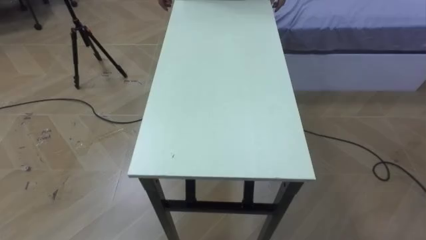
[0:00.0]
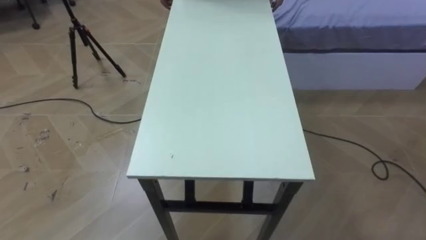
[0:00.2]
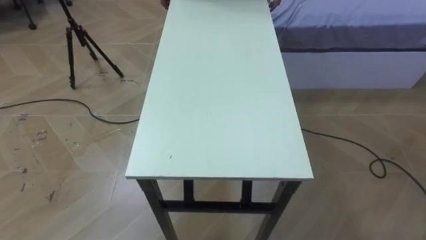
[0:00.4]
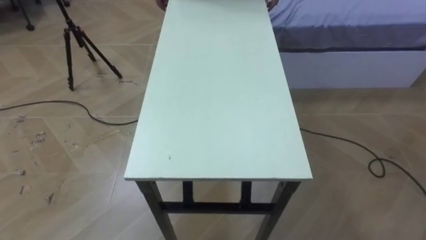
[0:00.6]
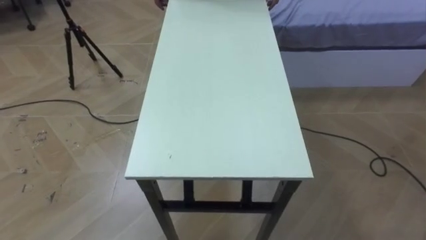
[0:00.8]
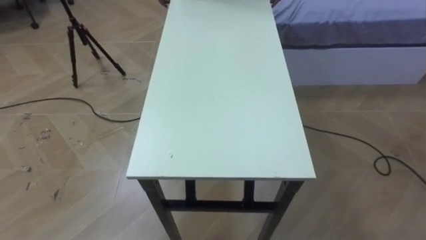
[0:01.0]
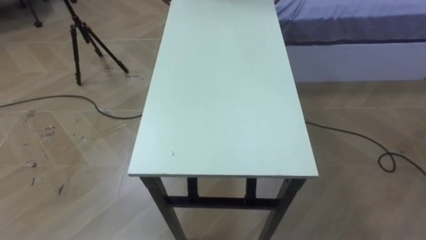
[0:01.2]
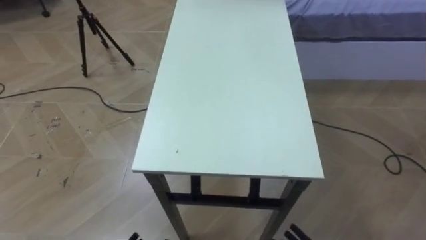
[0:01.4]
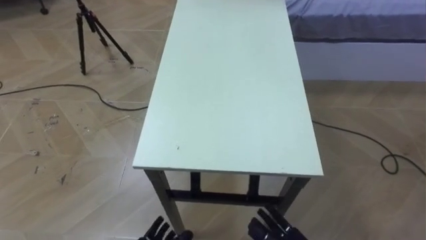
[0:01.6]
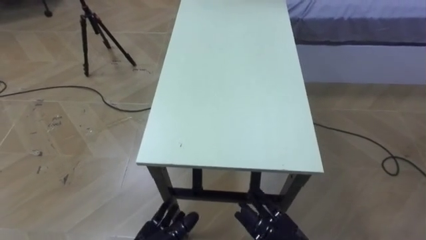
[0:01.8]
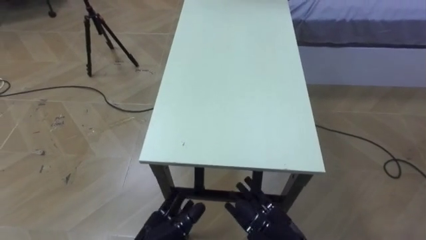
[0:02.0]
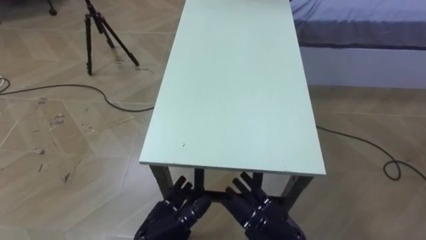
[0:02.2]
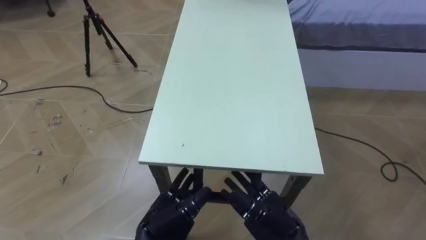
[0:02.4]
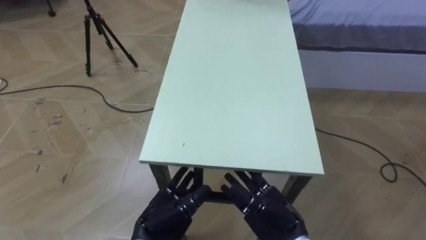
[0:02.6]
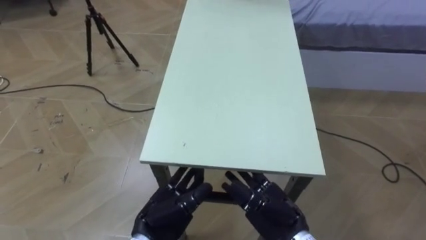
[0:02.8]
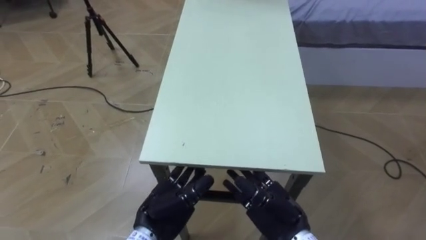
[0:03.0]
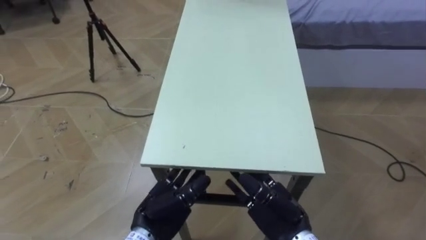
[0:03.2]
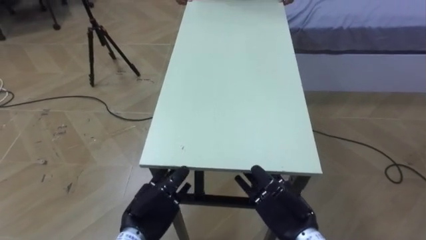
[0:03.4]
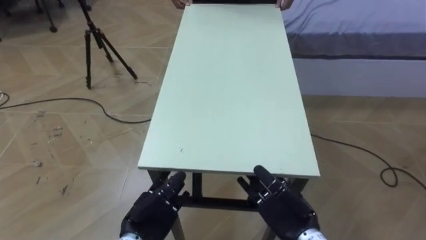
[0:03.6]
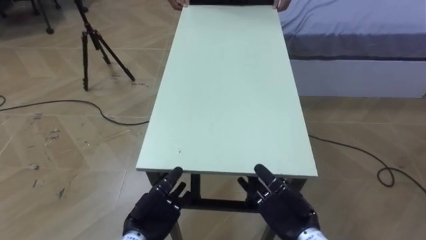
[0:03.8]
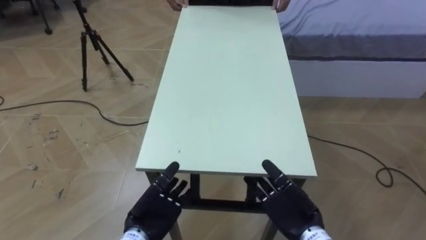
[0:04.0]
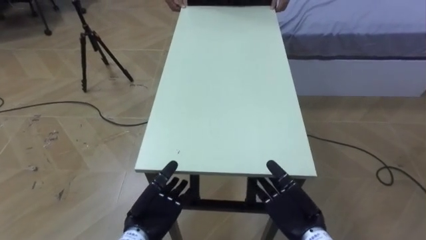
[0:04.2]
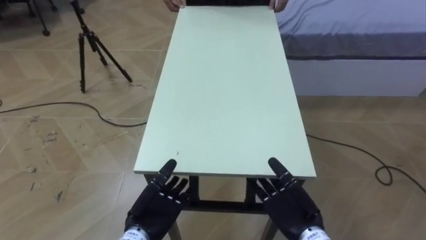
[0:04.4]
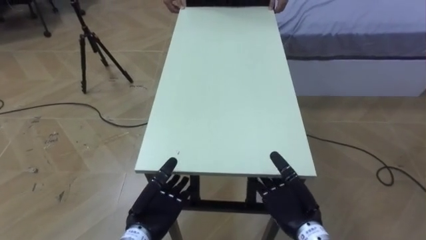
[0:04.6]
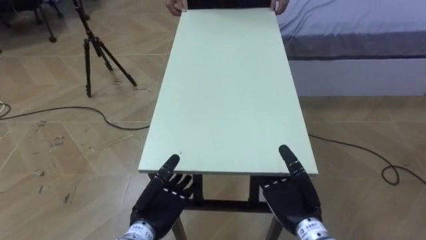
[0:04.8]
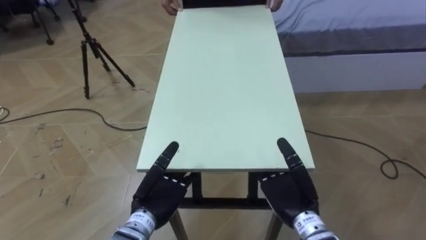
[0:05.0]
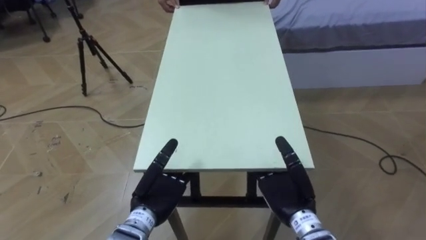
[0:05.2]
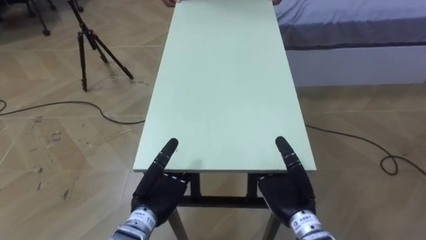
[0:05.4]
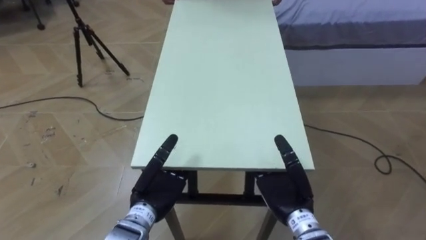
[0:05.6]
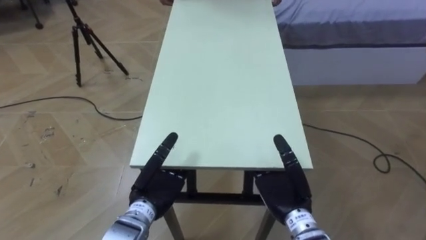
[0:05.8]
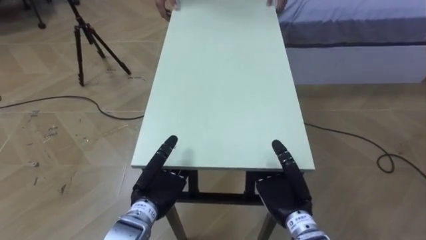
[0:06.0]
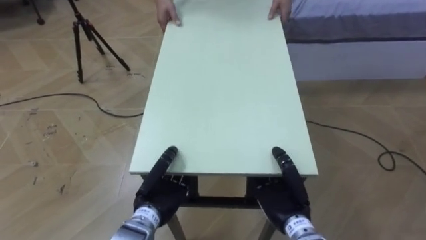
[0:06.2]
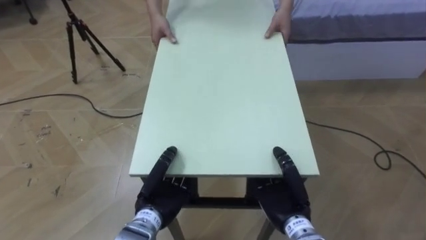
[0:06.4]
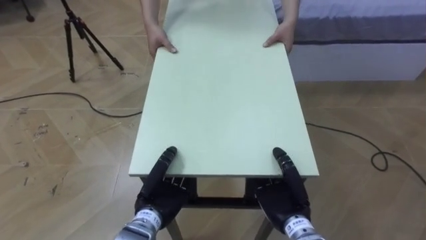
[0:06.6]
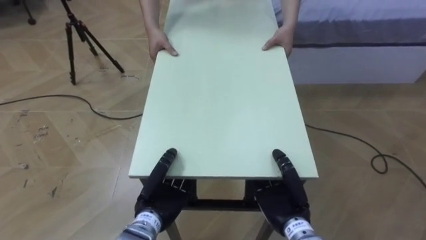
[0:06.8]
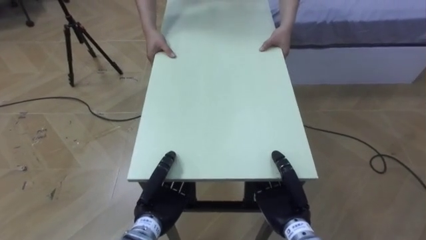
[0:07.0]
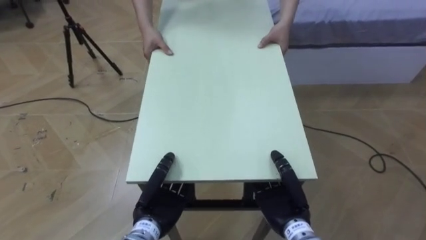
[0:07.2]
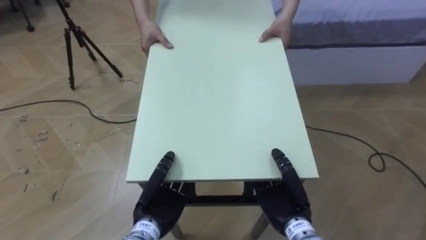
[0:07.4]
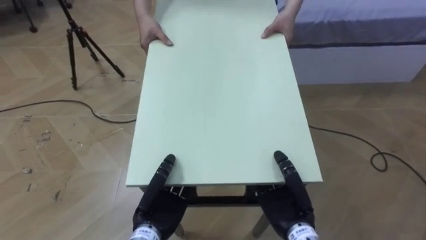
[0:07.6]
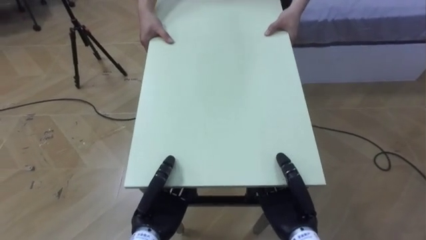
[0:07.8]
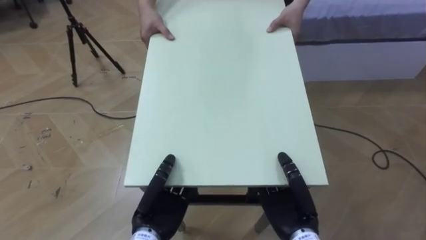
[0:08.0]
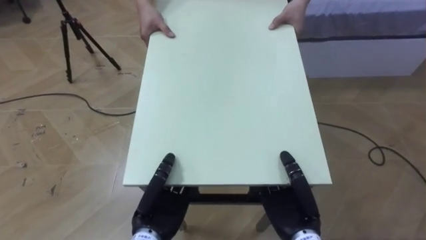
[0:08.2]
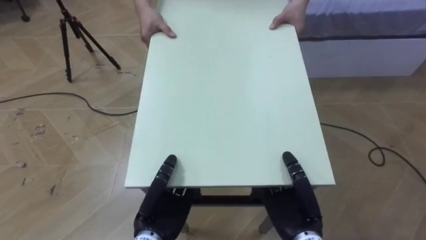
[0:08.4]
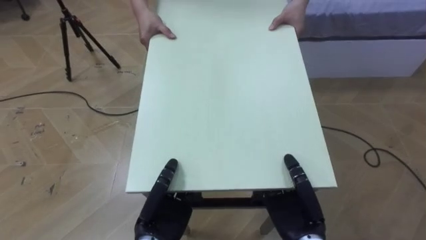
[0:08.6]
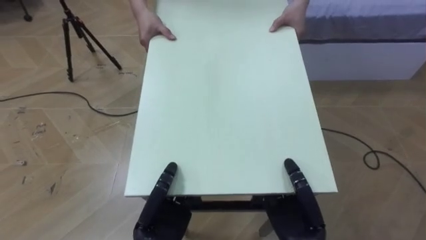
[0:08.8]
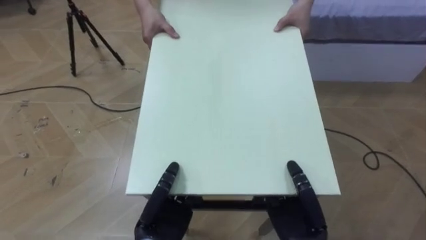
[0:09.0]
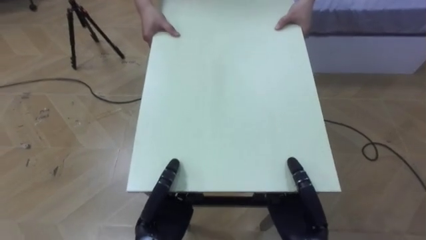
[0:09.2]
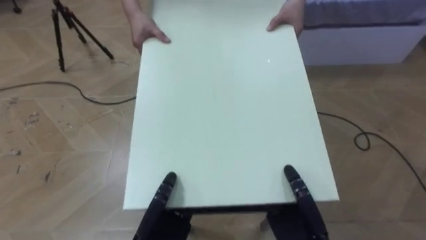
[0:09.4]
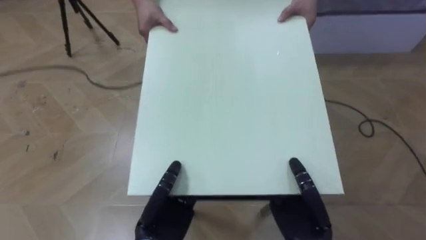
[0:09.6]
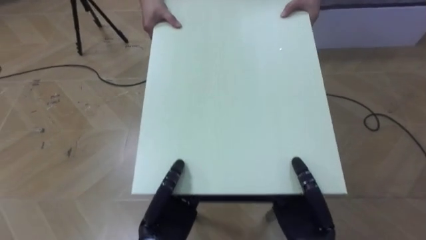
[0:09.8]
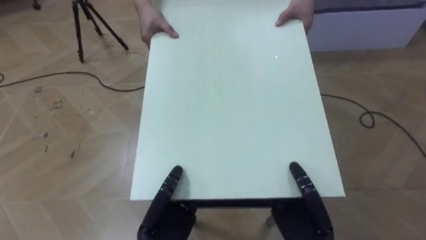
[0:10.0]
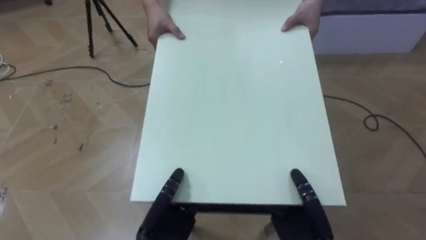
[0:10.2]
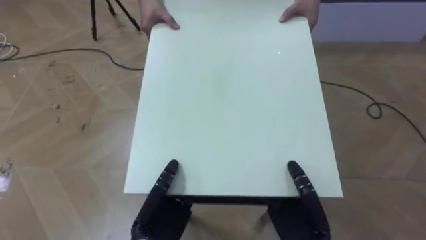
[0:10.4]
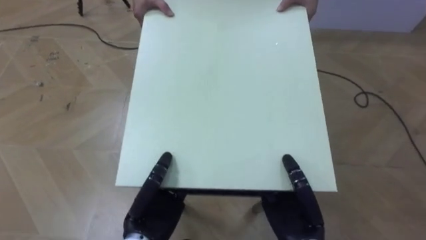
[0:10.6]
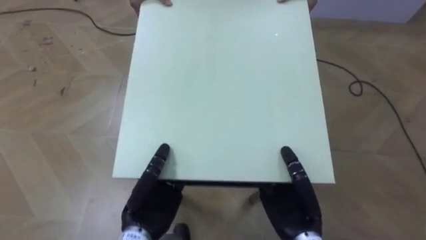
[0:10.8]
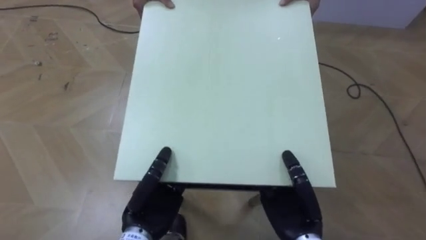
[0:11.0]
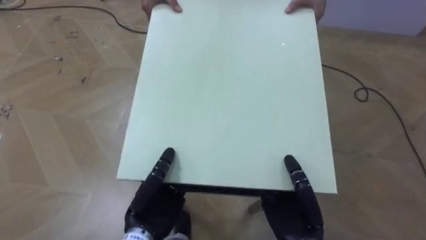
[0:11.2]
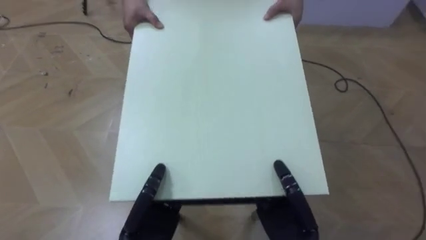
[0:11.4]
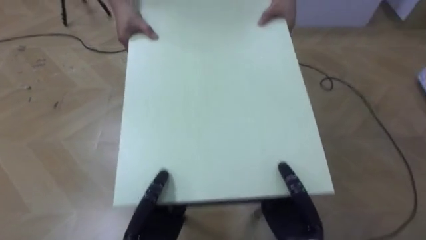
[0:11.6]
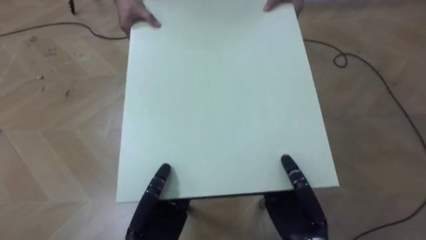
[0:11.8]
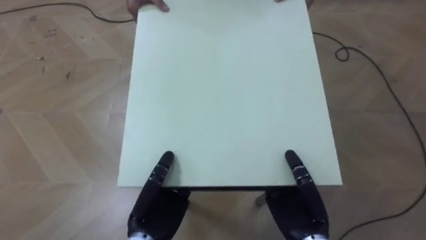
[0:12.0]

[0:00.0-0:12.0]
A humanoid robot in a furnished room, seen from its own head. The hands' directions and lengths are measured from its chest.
Task of the whole recording: Move the table to the back left with someone.
0:03.0 to 0:04.4: The left hand shifts by approximately 5 cm.
0:04.4 to 0:06.0: The left hand changes place by approximately 5 cm.
0:06.0 to 0:07.6: The left hand closes up.

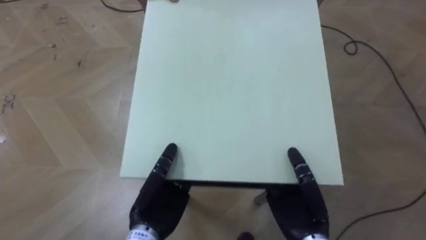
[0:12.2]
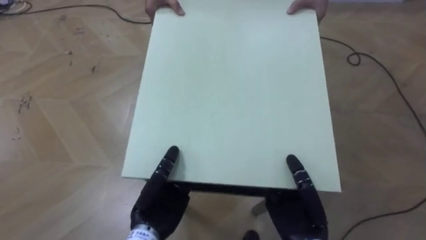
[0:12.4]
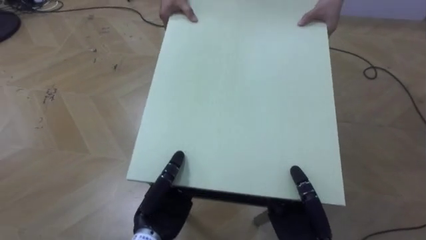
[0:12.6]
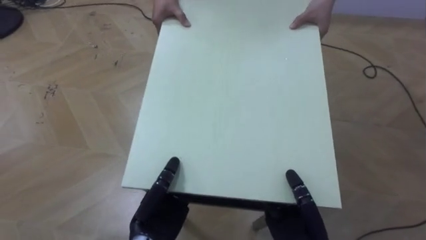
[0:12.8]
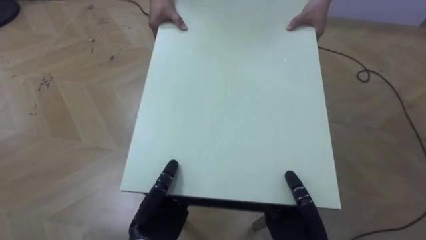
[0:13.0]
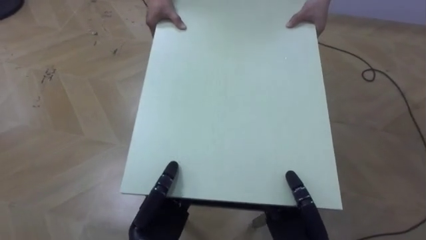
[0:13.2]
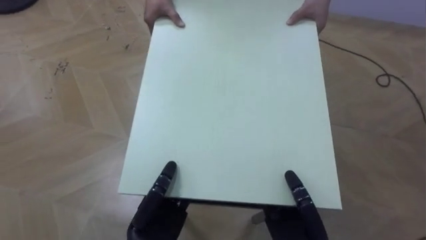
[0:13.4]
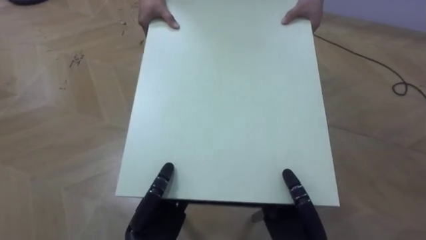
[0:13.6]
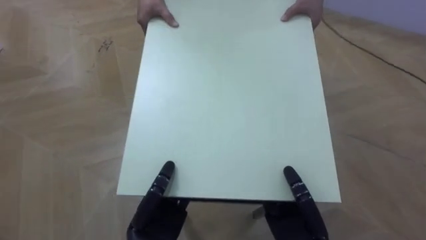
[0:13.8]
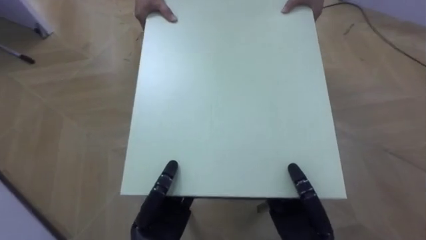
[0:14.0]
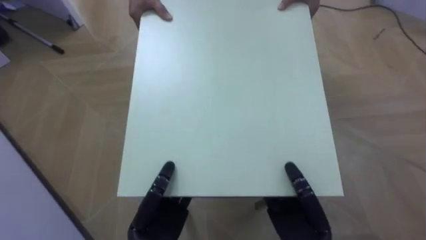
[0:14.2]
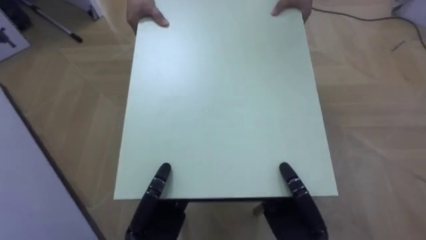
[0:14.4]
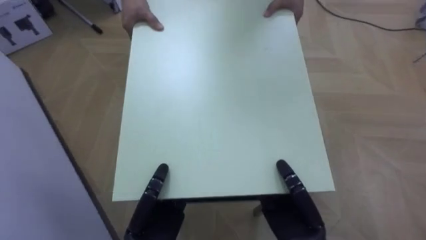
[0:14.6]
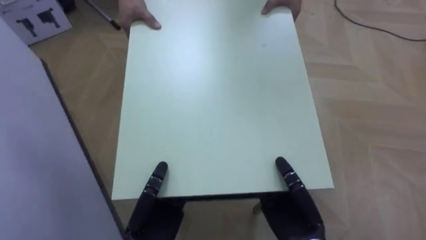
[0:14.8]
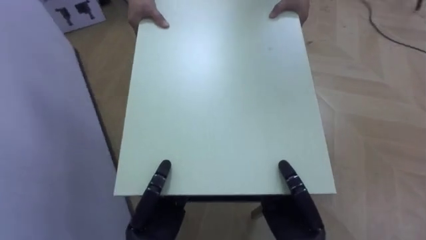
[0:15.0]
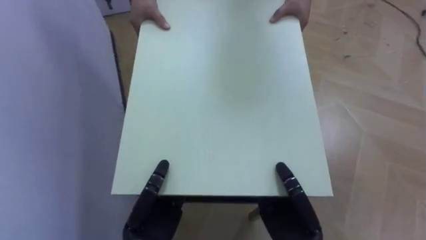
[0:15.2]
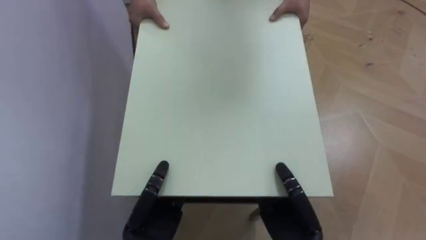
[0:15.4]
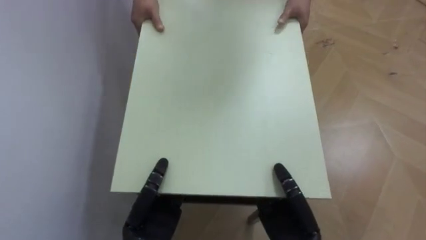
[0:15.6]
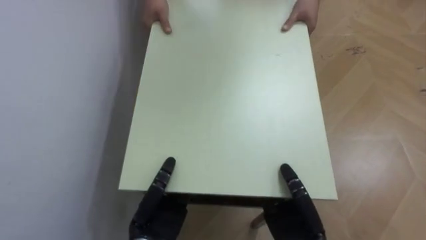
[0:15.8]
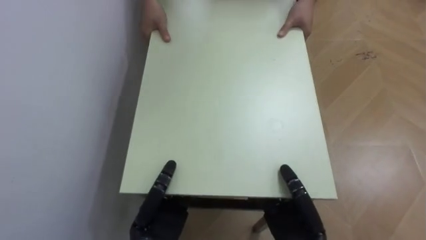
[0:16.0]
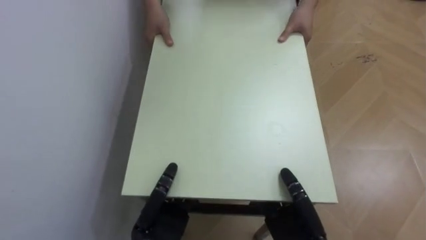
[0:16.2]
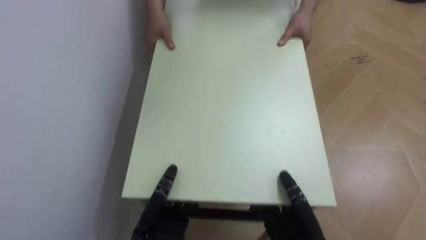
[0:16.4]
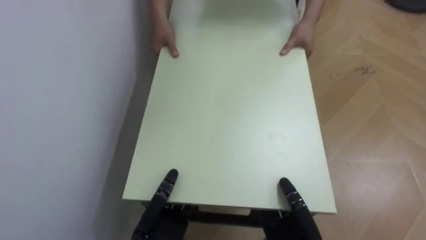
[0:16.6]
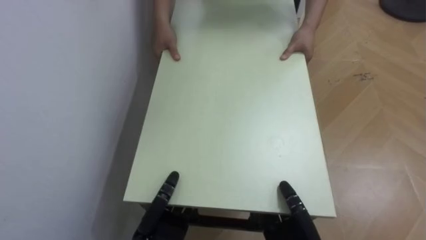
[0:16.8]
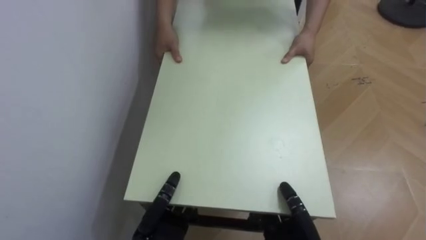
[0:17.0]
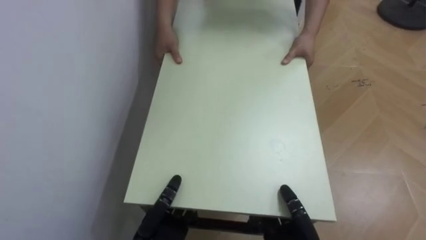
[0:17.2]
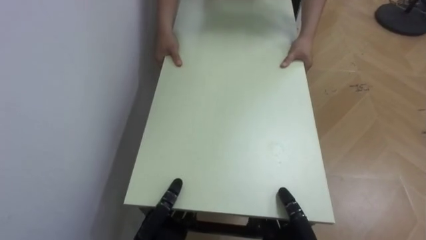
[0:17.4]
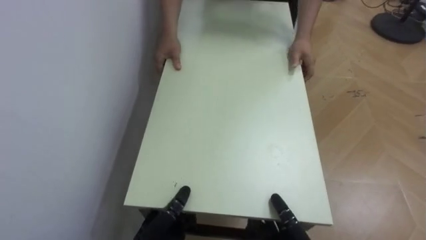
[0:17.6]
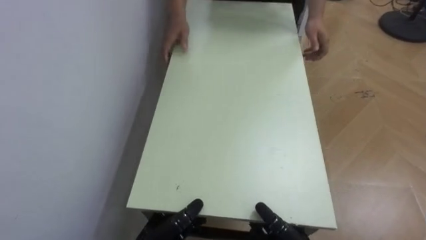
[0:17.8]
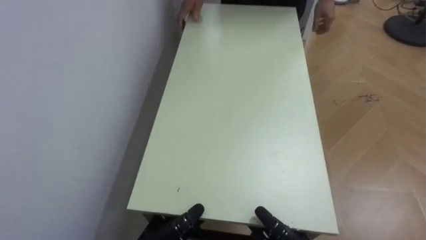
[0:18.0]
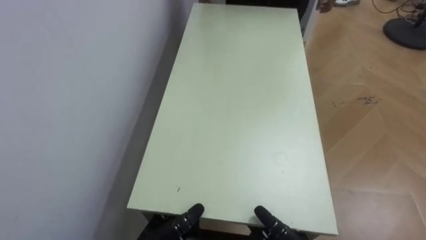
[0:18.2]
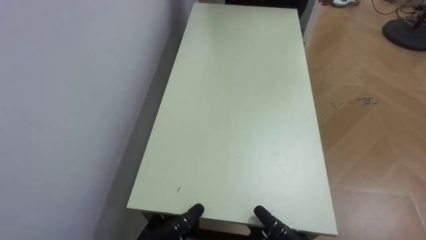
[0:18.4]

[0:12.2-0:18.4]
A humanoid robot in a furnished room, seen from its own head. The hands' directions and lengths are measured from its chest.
Task of the whole recording: Move the table to the back left with someone.
0:12.2 to 0:13.8: The robot's body swings roughly 20 degrees to its left.
0:13.8 to 0:15.4: The robot rotates some 50 degrees to its left.
0:15.4 to 0:16.8: The robot rotates roughly 25 degrees to its left.
0:16.8 to 0:18.4: The left hand opens its fingers.
